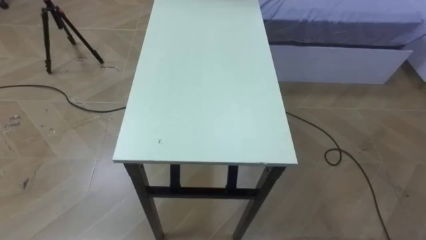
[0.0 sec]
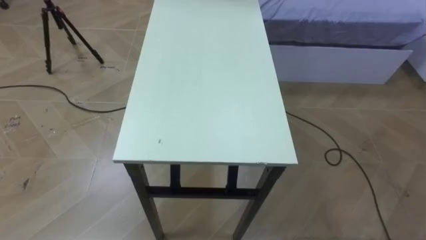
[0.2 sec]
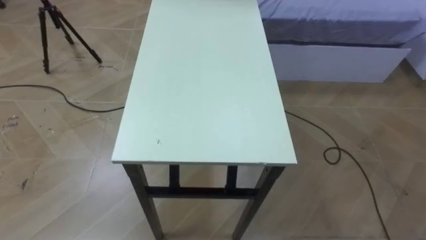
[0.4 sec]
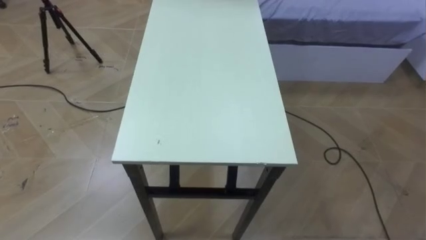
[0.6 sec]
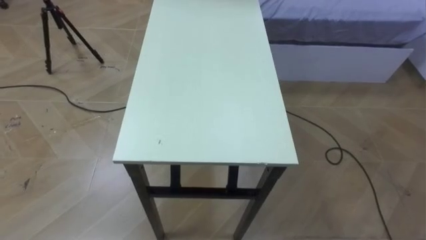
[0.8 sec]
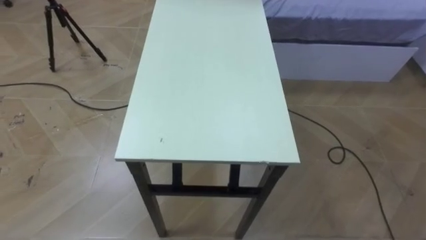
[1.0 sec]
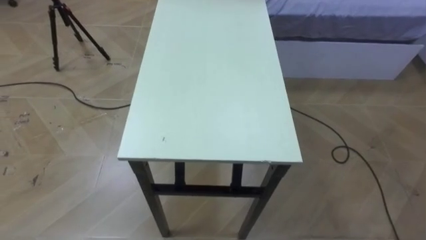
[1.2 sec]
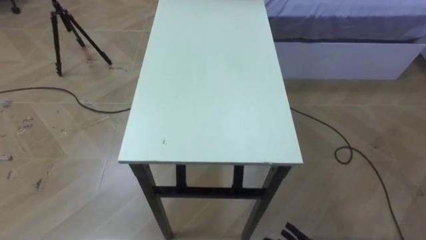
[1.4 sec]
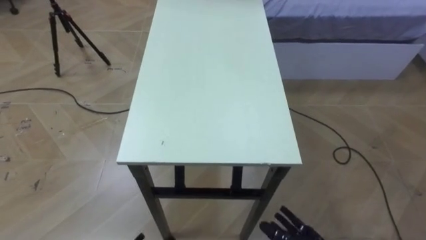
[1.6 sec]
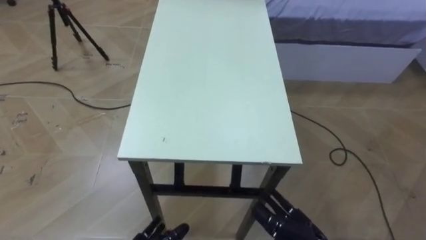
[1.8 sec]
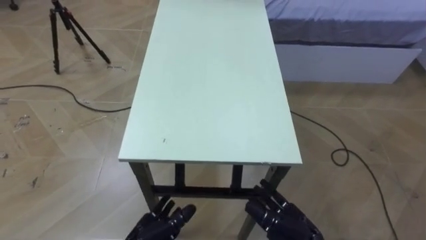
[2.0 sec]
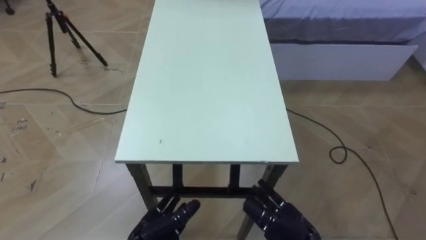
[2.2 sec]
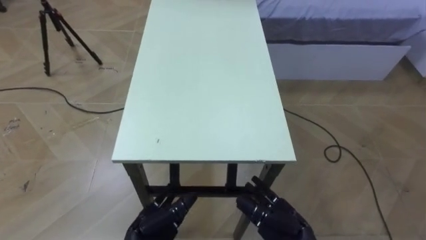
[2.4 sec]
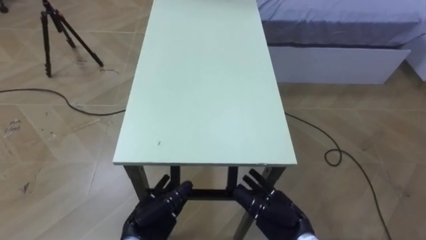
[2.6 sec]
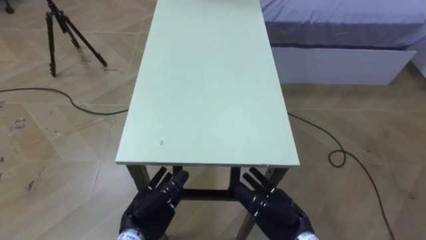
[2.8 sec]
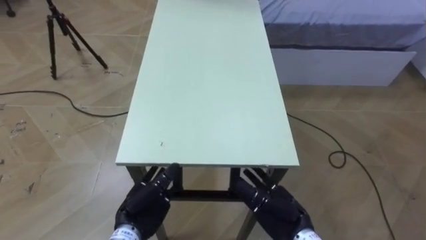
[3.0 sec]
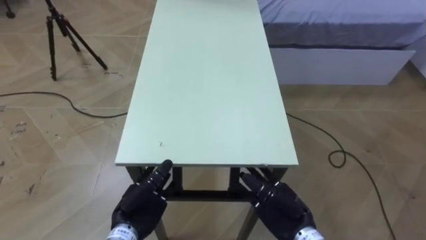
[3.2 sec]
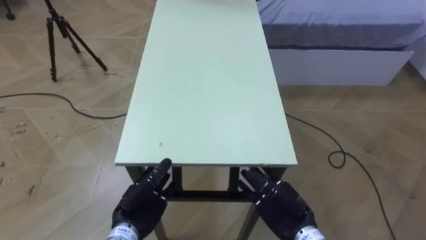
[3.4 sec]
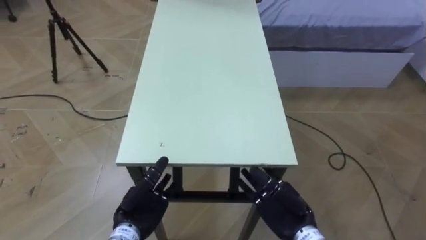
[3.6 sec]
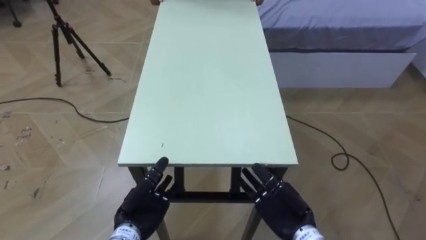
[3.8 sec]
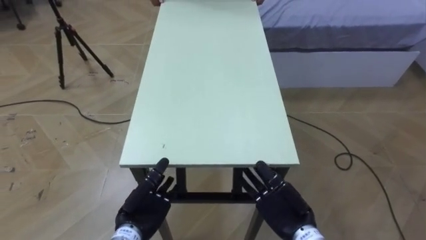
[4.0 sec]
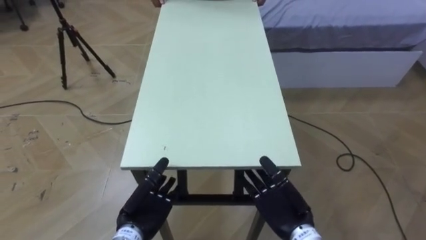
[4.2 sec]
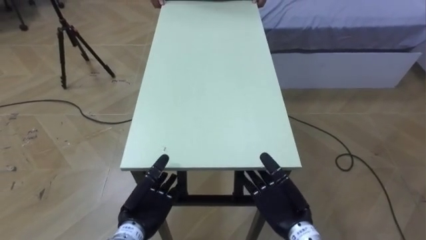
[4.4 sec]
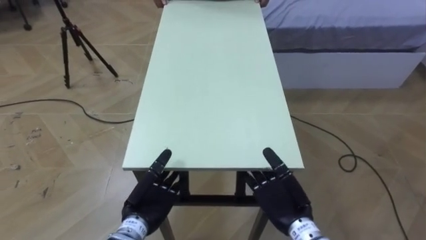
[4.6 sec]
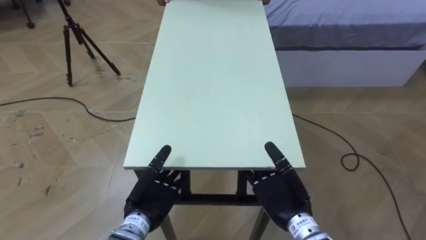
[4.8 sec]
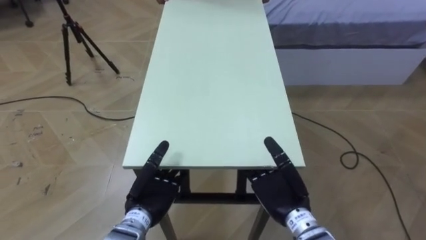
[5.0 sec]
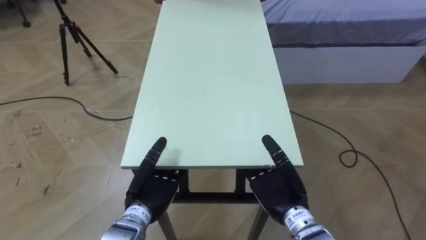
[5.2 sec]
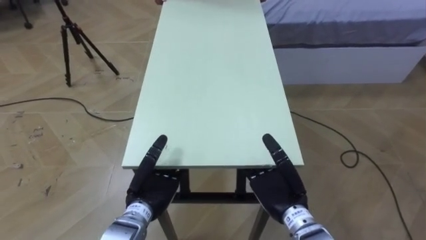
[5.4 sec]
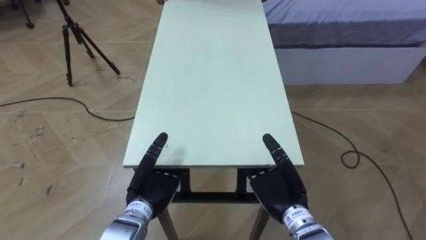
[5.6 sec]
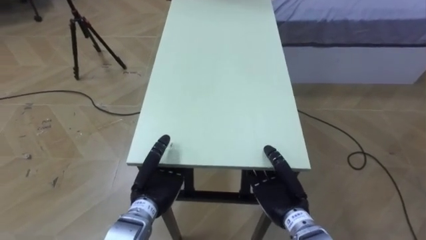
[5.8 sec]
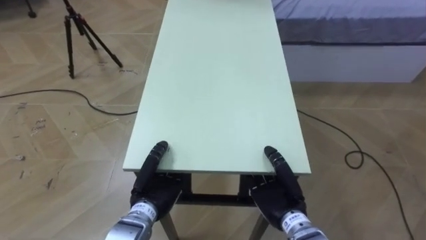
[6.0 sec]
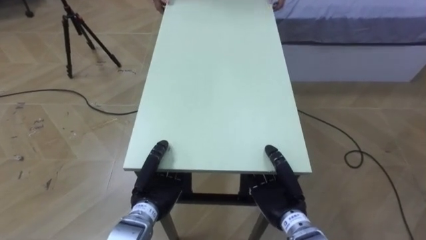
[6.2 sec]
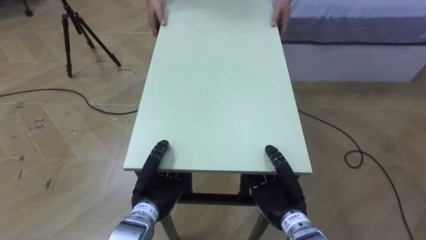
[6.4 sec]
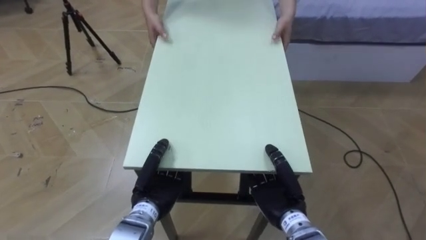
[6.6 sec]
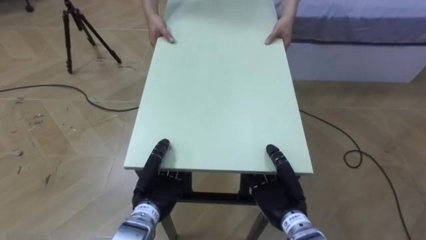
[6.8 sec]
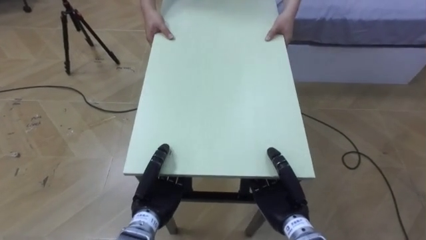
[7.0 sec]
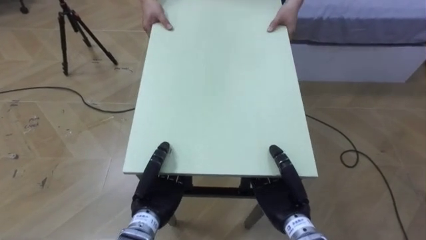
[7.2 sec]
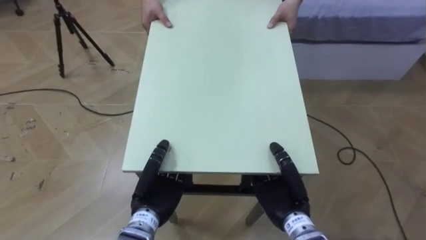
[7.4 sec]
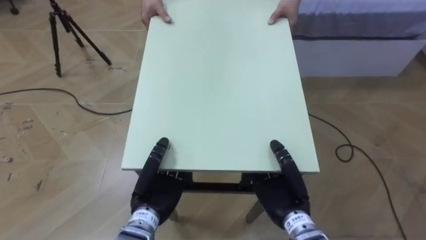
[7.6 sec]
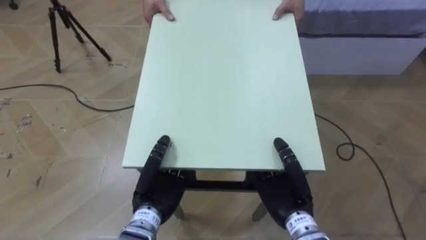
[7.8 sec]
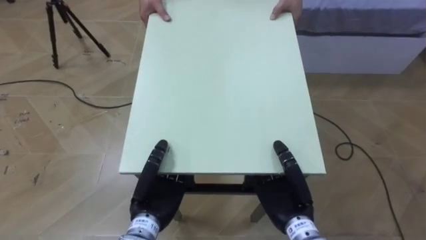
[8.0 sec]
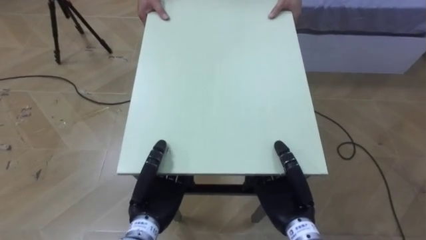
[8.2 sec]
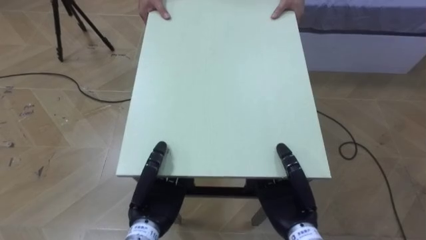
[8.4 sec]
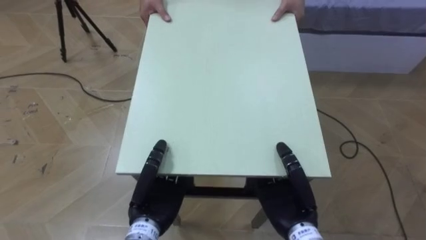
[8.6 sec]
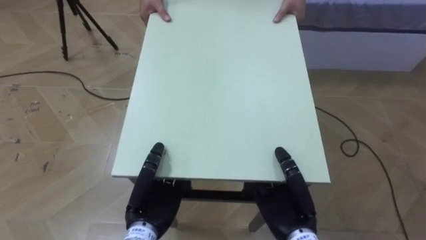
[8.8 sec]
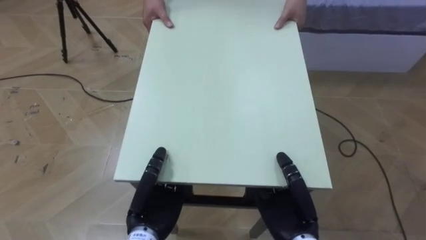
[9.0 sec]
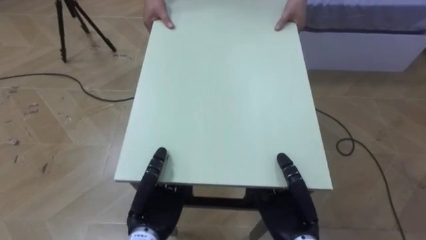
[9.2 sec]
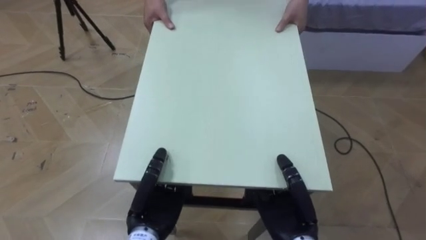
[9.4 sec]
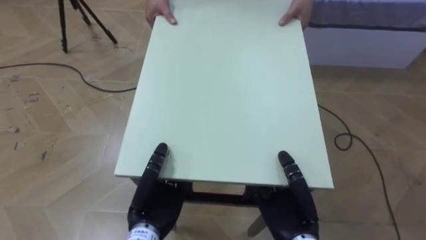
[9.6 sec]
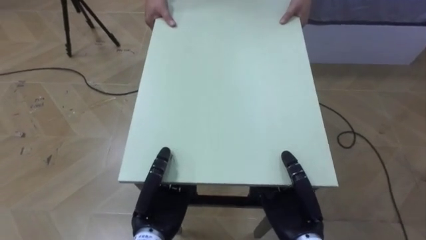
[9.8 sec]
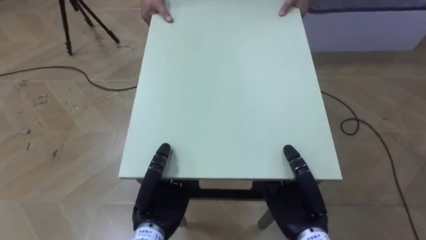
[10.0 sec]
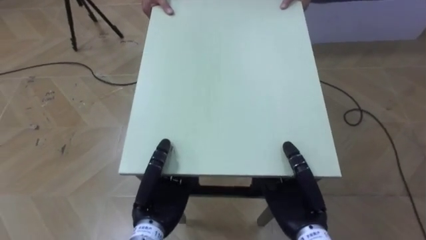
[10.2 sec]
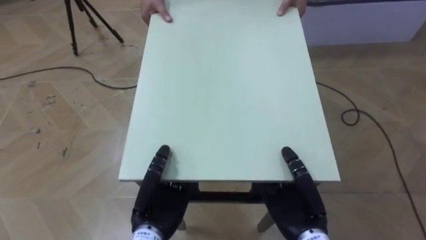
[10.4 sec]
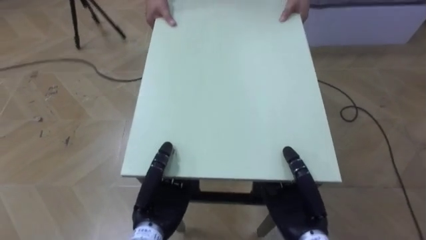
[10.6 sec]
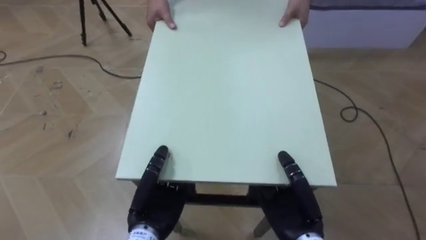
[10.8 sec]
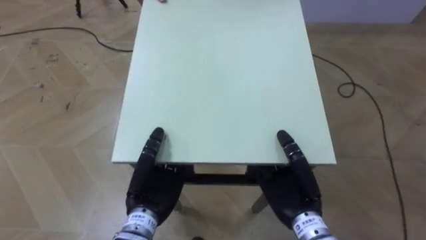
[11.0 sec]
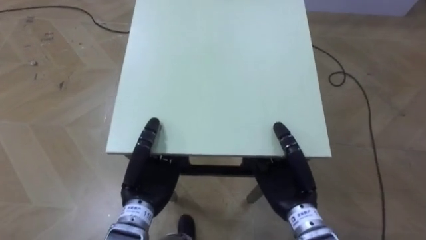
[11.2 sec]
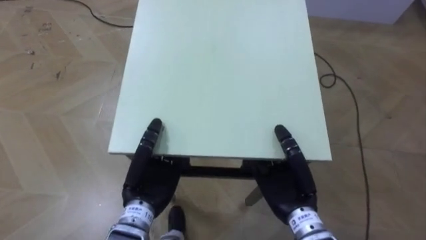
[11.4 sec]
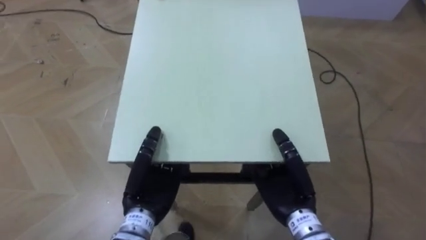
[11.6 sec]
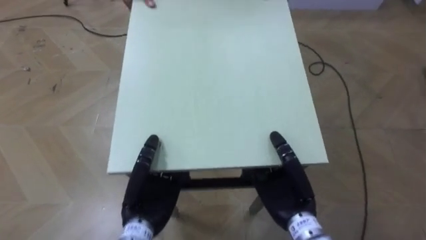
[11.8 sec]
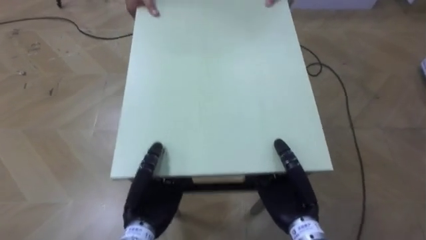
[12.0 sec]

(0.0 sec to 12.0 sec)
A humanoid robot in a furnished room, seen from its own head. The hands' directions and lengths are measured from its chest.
Task of the whole recording: Move the table to the back left with someone.
4.4 sec - 6.0 sec: The left hand closes. Meanwhile the right hand closes up.
6.0 sec - 7.6 sec: The hands move only a little.

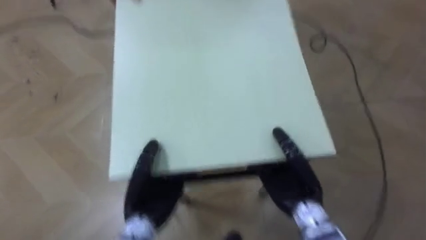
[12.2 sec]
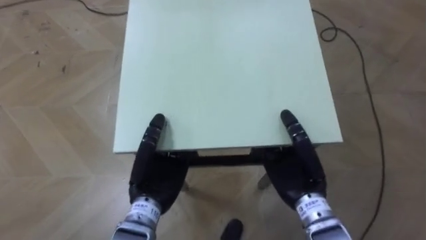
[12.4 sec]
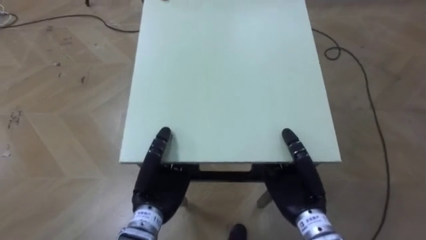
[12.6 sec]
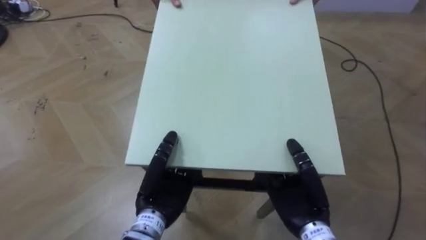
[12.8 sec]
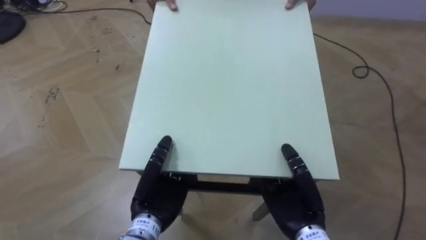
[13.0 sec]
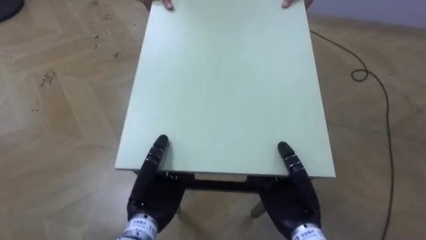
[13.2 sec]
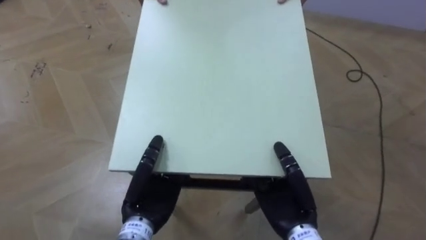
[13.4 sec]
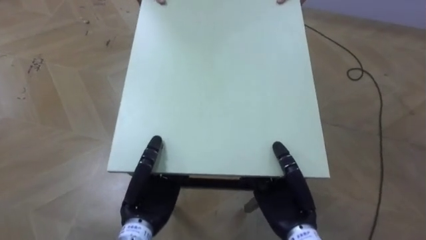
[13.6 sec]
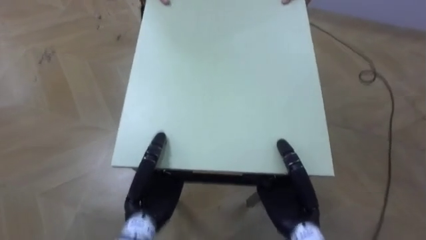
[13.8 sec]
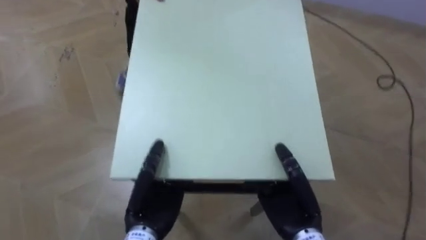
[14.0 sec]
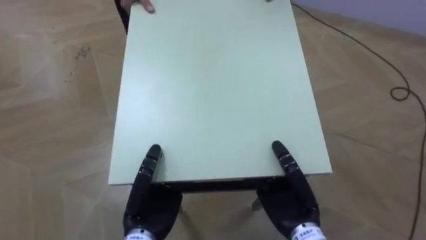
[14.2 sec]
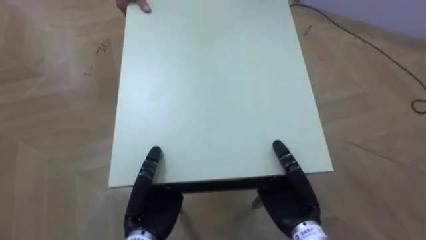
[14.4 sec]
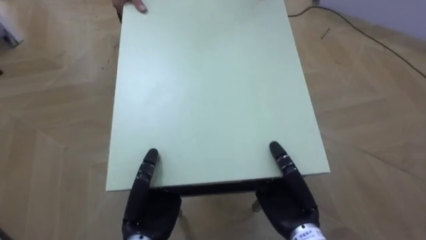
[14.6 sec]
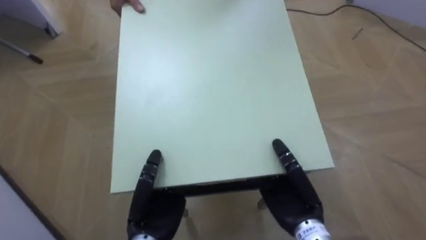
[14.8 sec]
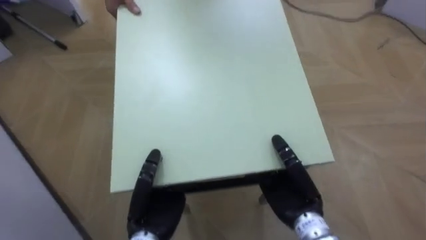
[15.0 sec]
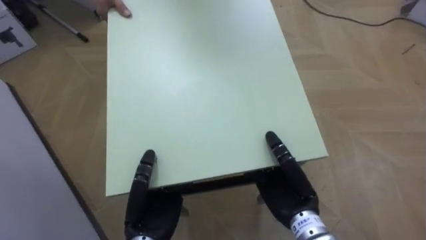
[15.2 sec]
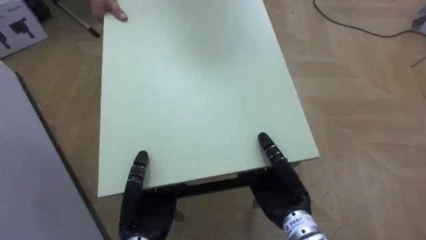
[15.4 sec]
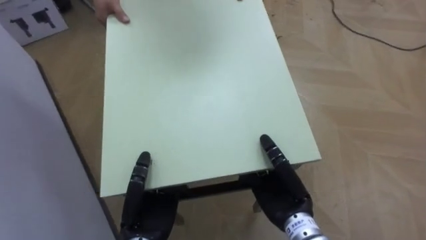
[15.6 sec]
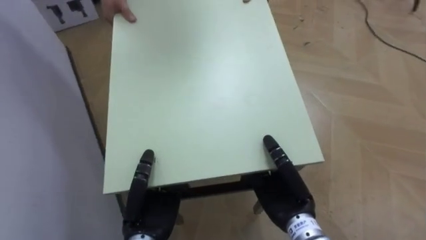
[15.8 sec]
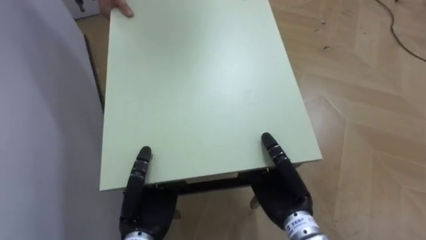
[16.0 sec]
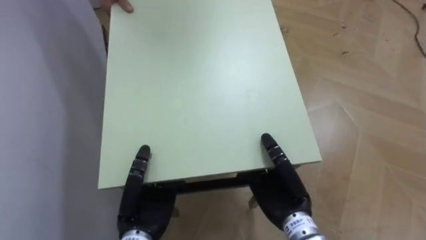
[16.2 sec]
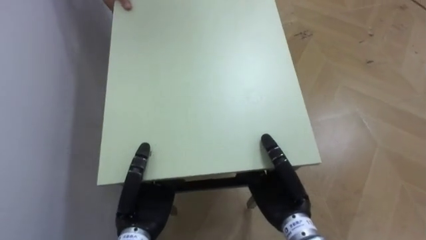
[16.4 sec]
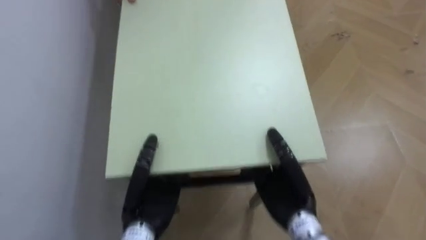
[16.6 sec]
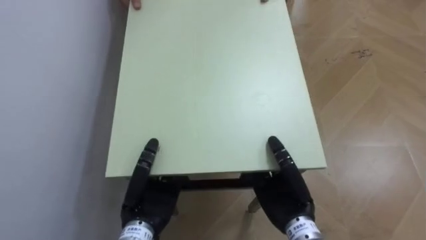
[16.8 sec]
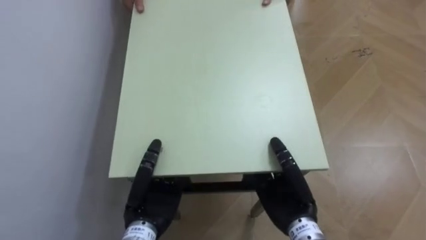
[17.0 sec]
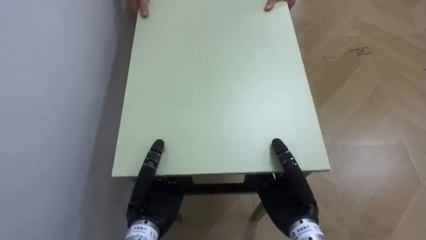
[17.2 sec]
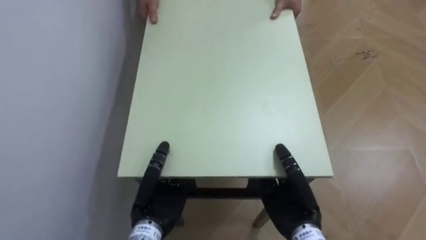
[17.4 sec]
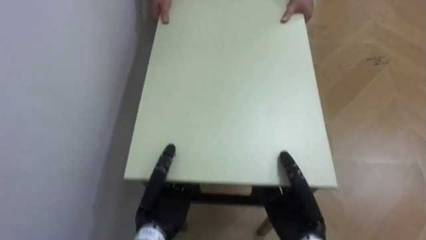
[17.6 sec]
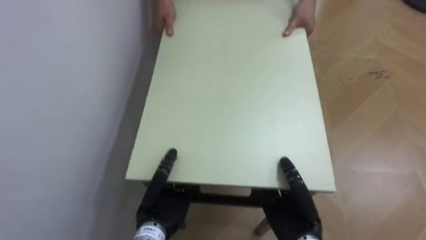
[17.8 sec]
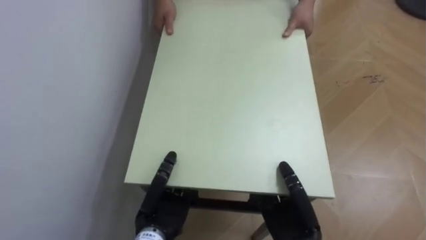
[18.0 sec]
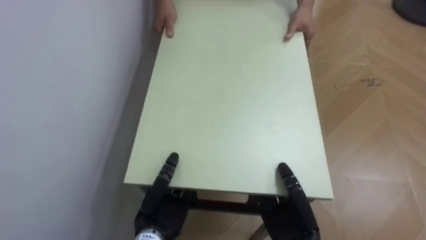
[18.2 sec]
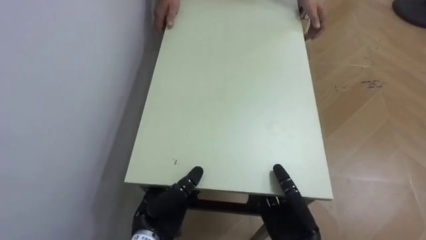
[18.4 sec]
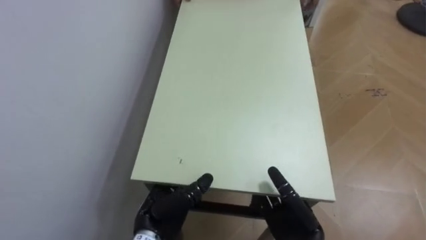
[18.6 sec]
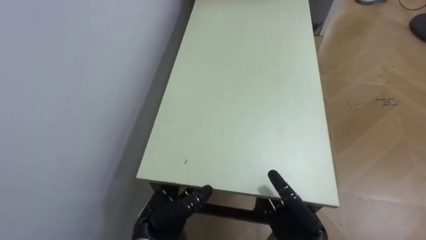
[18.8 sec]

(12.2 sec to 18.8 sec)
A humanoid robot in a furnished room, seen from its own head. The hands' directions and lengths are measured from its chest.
Task of the whole recording: Move the table to the back left with someone.
12.2 sec - 13.8 sec: The robot faces roughly 20 degrees further to its left.
13.8 sec - 15.4 sec: The robot's body swings roughly 25 degrees to its left.
15.4 sec - 17.2 sec: The robot's body swings some 50 degrees to its left.
17.2 sec - 18.8 sec: The right hand shifts by roughly 5 cm, and opens; the left hand opens its fingers.
